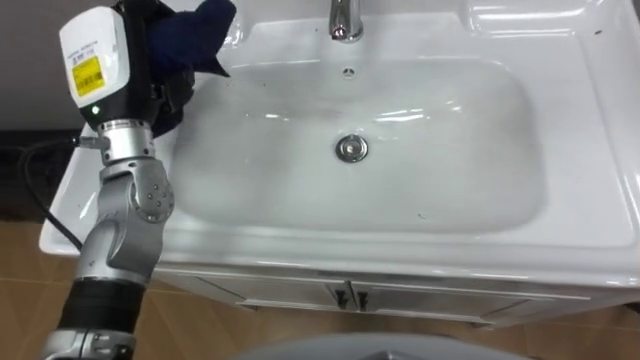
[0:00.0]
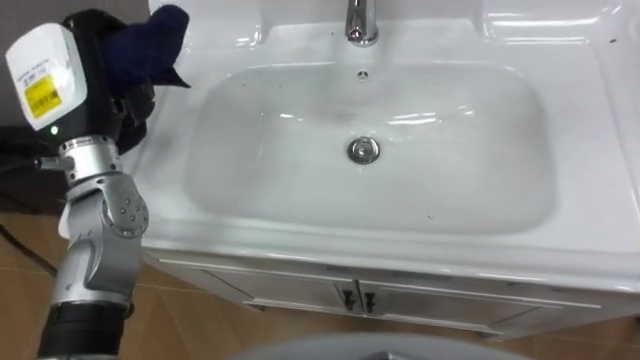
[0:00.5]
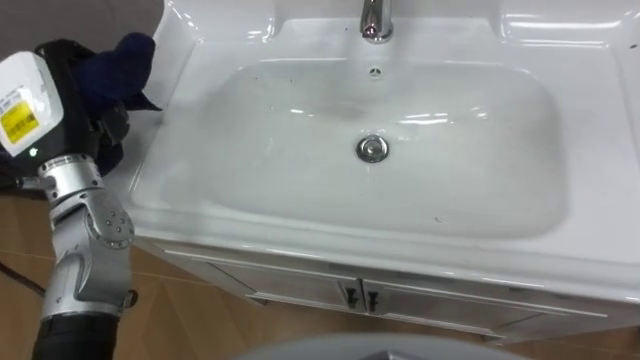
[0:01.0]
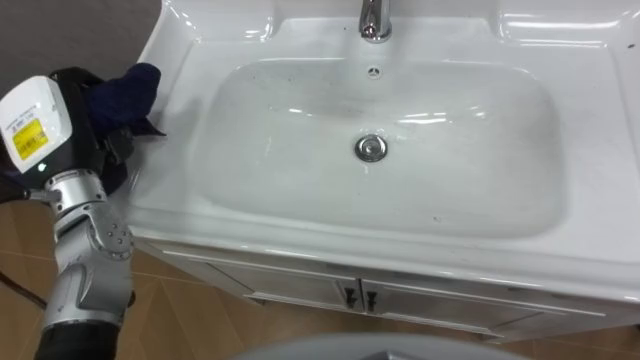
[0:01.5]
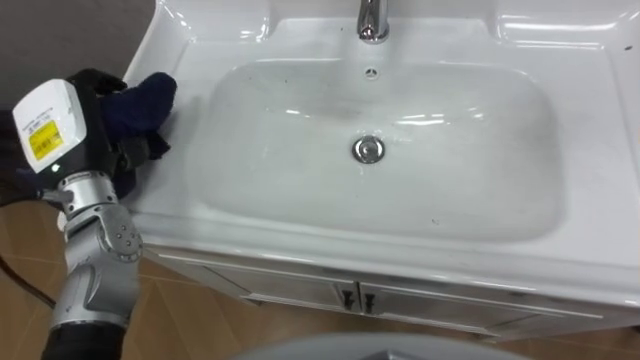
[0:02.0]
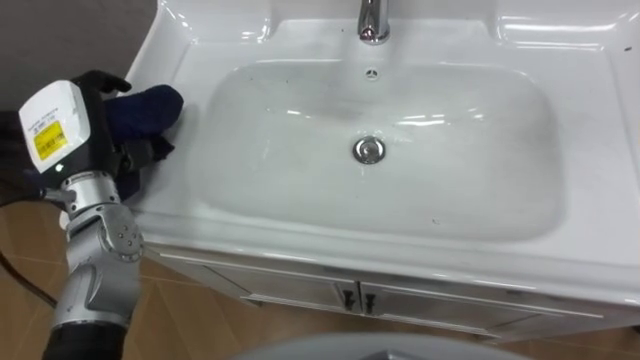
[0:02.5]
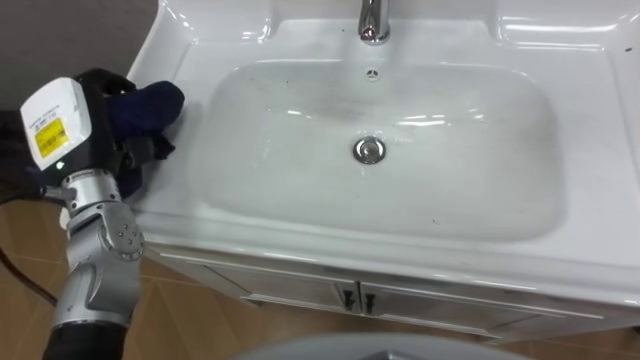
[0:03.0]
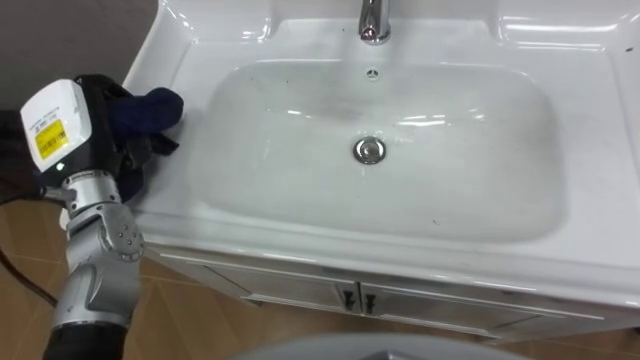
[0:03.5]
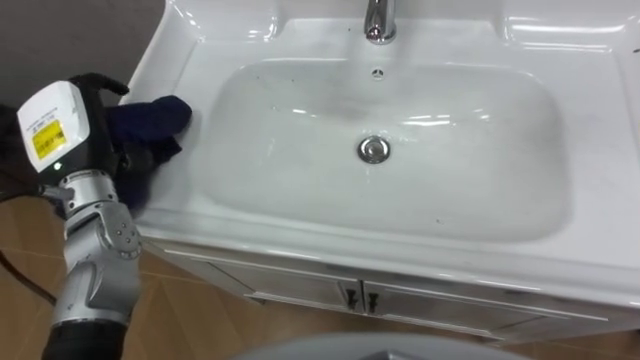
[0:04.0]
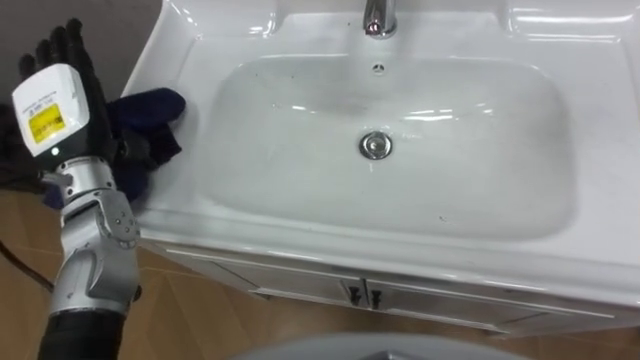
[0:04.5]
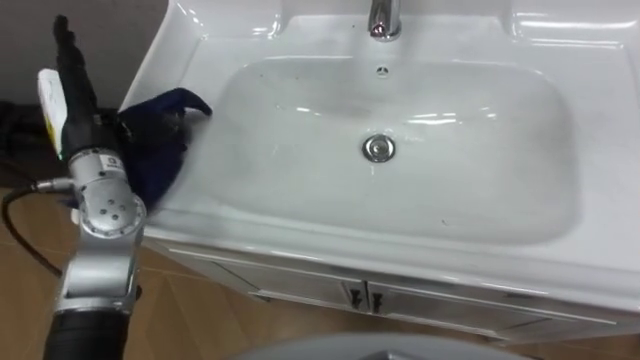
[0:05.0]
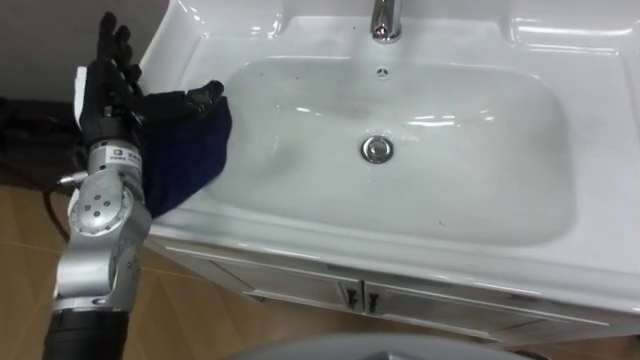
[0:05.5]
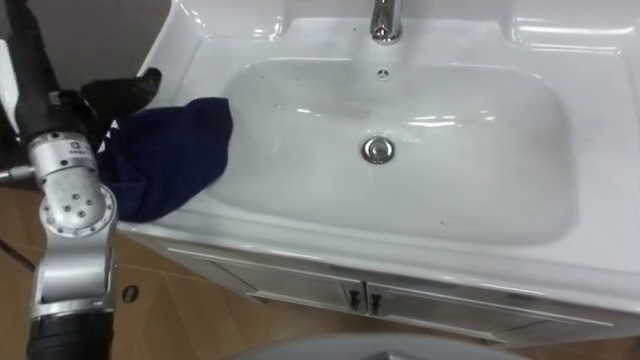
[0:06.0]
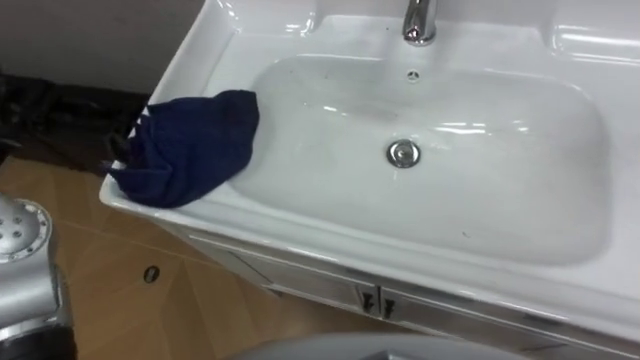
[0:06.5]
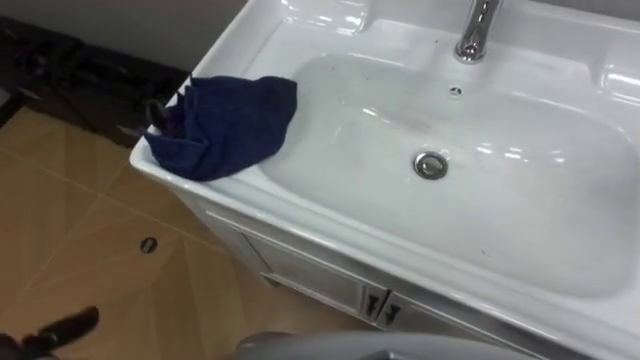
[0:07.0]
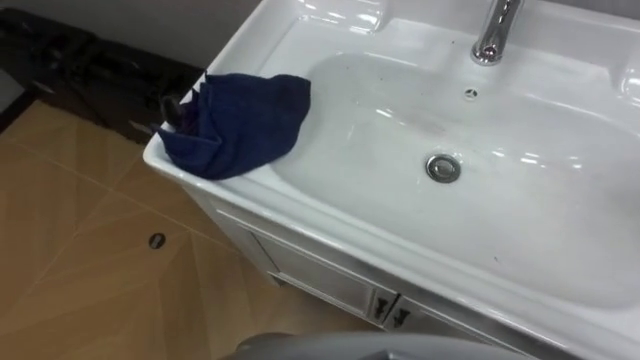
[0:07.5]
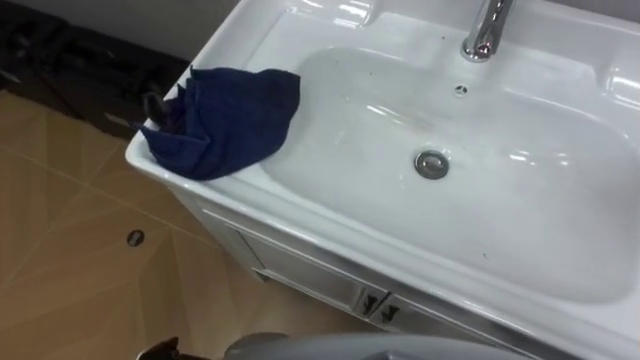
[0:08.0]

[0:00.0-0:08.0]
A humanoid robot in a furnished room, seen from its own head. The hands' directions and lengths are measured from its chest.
Task of the whole recording: Use the cloth on the right to wipe away the black stain in the sink.
0:00.0 to 0:02.0: The left hand heads to the left and downward, covering some 10 cm.
0:02.0 to 0:04.0: The left hand opens up.
0:04.0 to 0:06.0: The left hand travels upward by approximately 5 cm, and opens.
